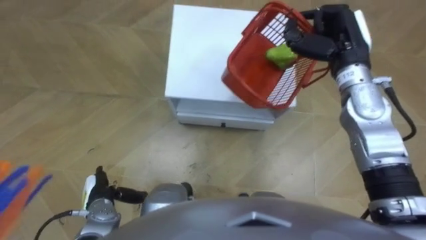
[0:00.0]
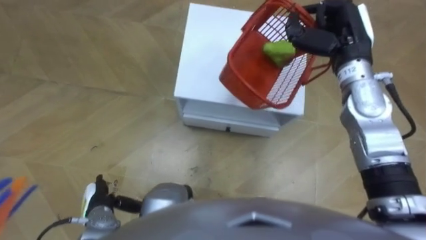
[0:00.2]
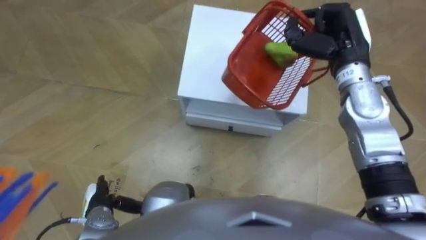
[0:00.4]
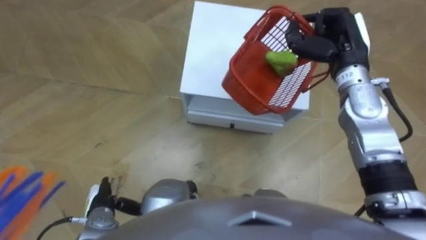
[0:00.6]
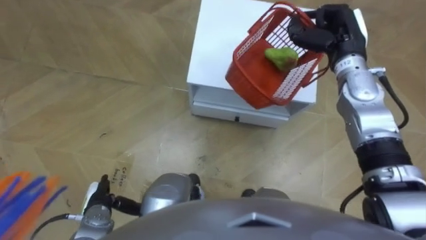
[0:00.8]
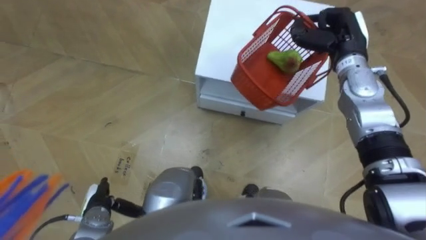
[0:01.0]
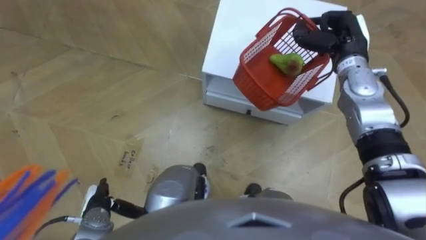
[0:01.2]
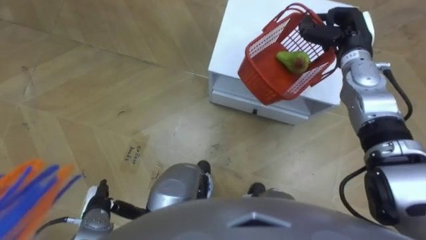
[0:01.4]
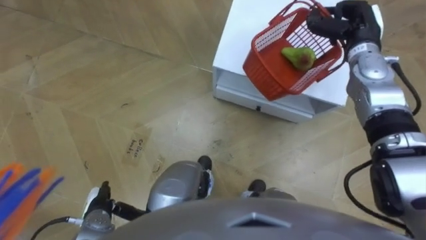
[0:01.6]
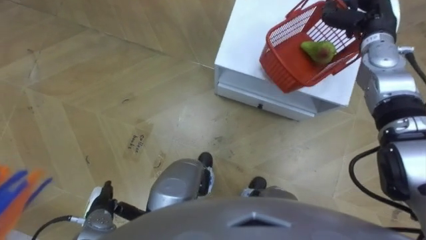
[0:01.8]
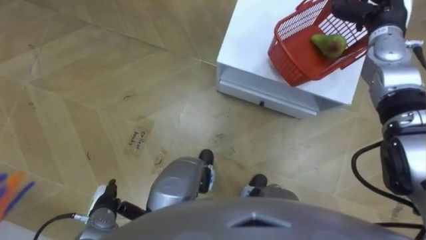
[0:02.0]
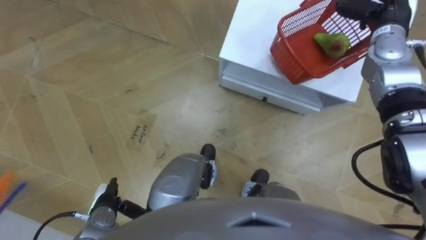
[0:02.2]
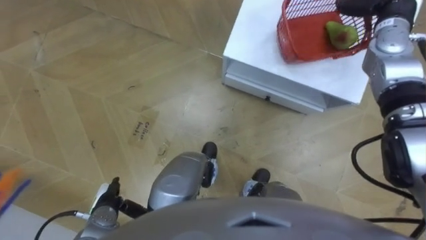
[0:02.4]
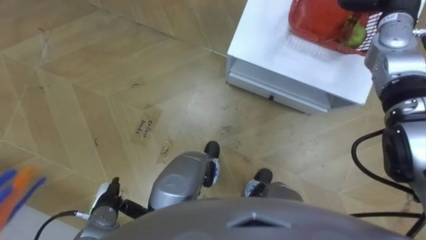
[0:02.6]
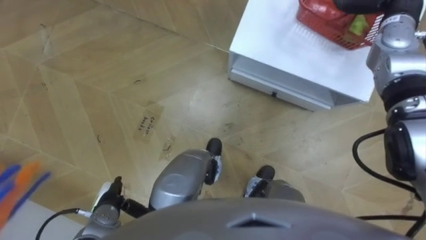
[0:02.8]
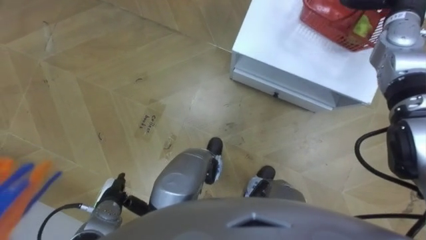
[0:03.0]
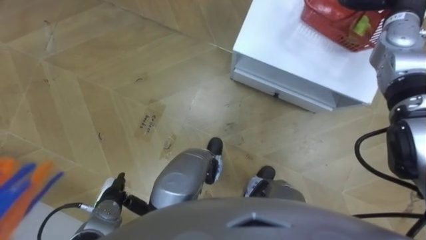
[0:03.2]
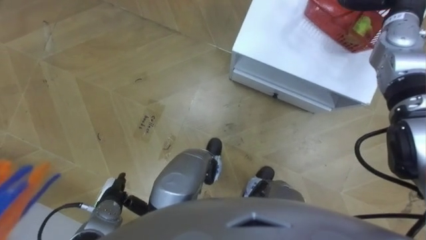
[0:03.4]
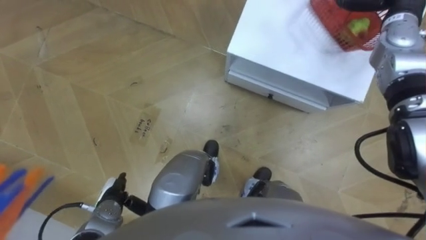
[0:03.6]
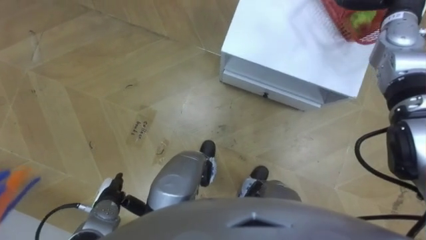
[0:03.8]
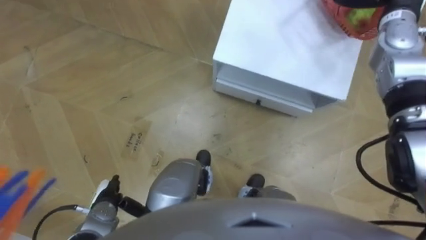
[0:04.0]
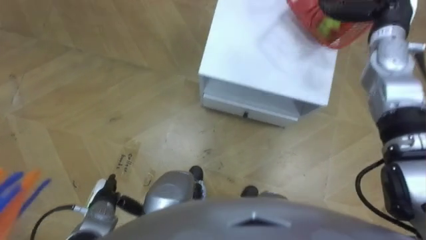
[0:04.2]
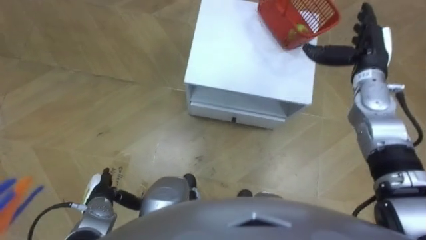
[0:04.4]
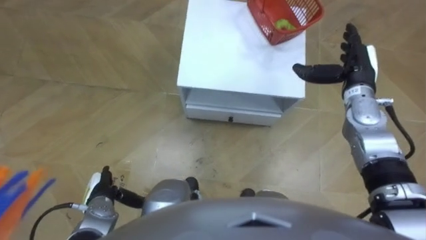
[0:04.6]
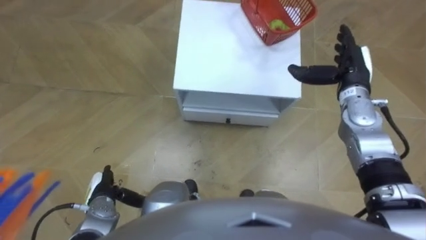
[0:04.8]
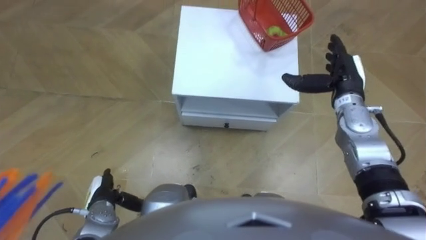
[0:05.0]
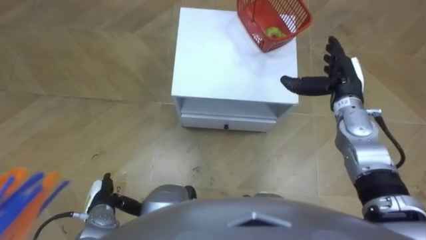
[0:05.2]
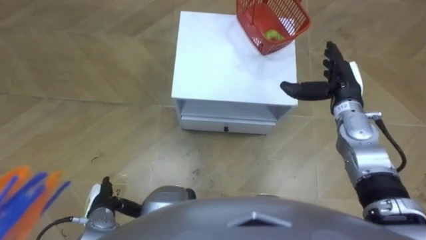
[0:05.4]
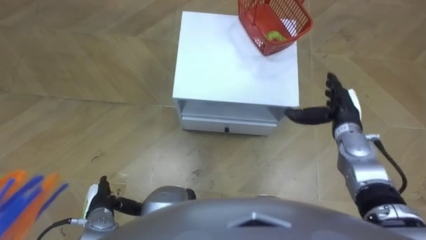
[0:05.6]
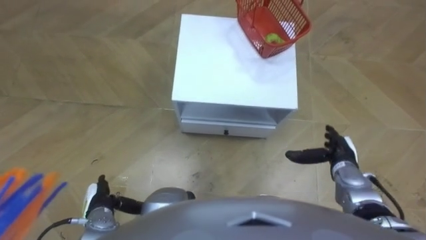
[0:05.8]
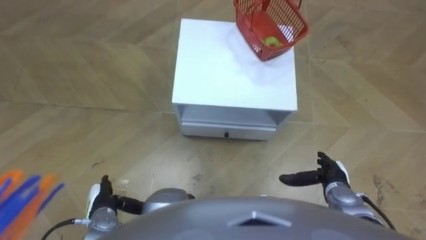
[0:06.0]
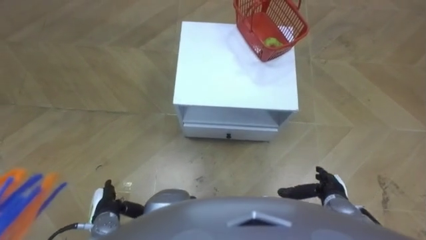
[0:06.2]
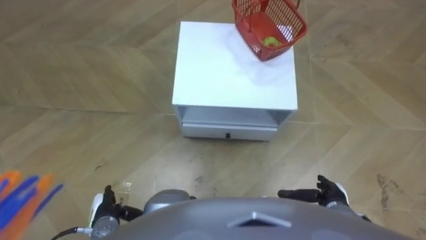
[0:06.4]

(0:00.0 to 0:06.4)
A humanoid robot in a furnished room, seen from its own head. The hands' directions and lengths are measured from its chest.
Task of the whole recording: Pick up the fruit basket from the floor and place it on the cabinet.
0:00.0 - 0:01.6: The right hand travels forward by some 5 cm.
0:04.8 - 0:06.4: The right hand travels backward and downward by about 30 cm.
